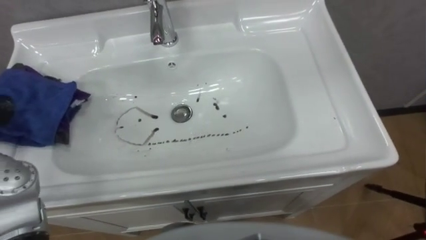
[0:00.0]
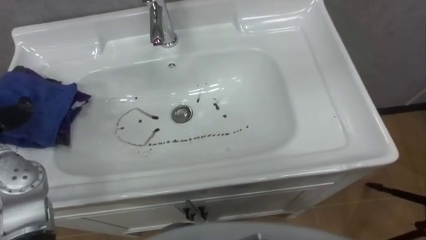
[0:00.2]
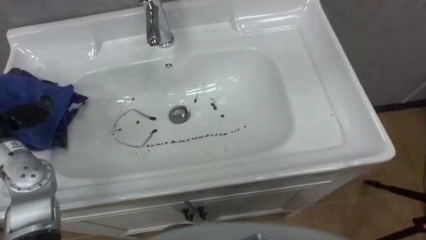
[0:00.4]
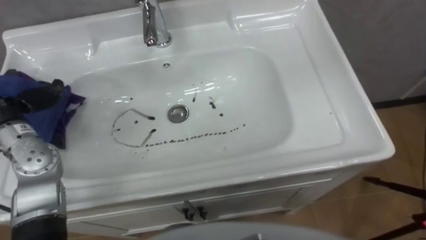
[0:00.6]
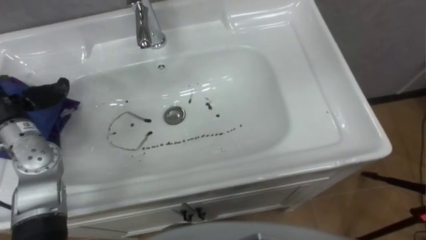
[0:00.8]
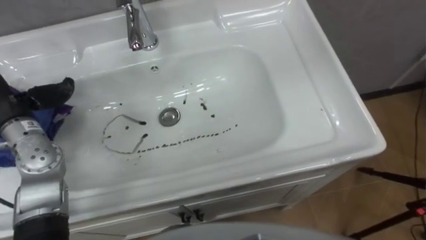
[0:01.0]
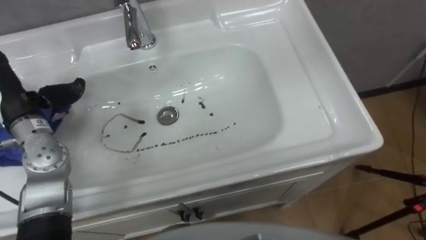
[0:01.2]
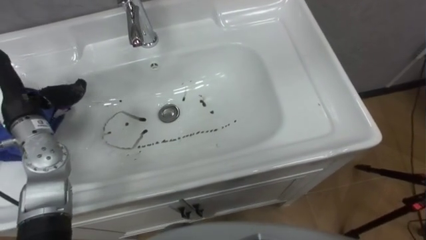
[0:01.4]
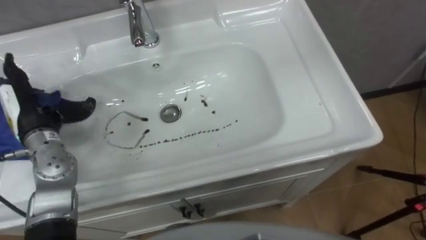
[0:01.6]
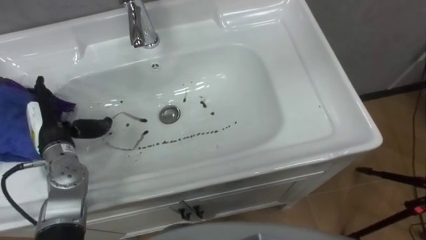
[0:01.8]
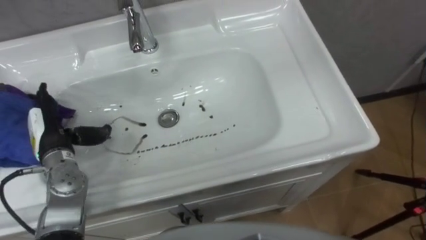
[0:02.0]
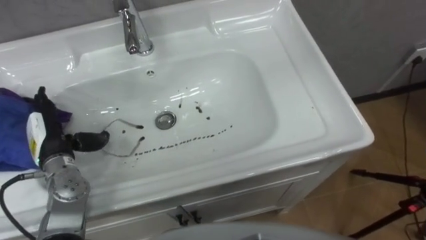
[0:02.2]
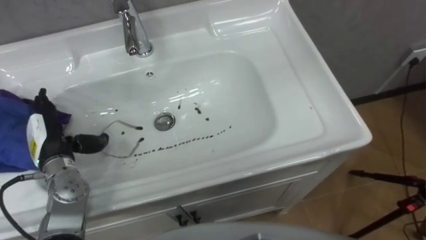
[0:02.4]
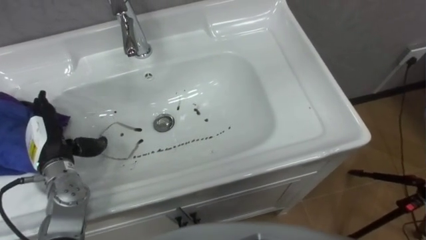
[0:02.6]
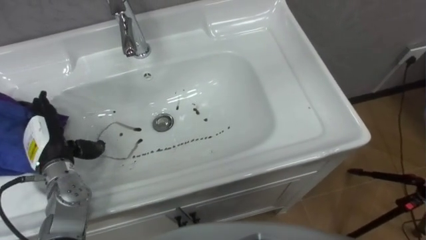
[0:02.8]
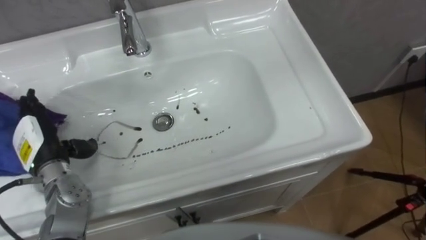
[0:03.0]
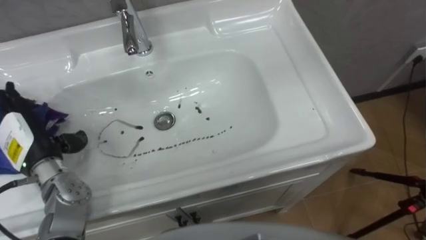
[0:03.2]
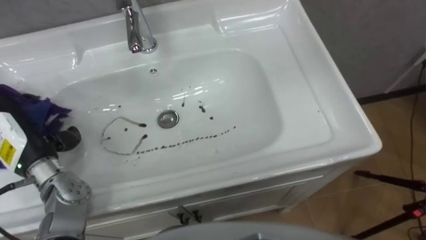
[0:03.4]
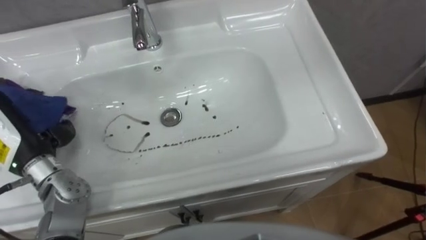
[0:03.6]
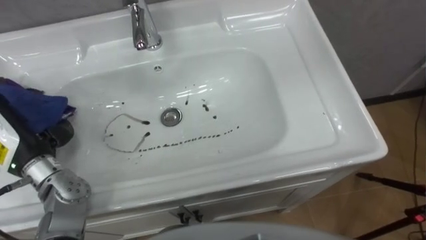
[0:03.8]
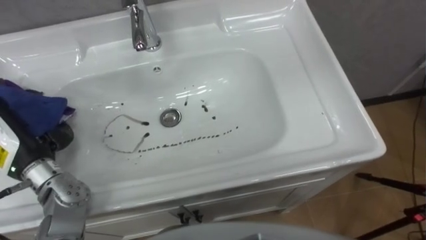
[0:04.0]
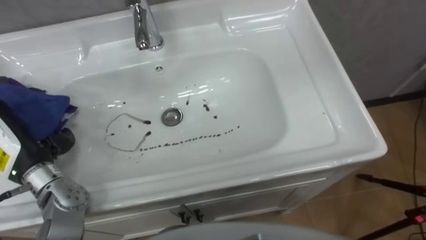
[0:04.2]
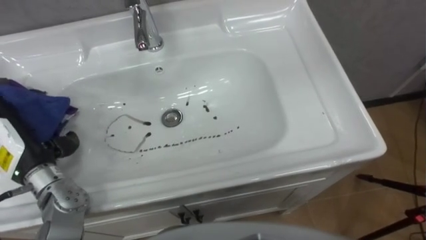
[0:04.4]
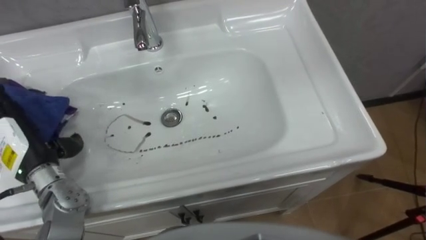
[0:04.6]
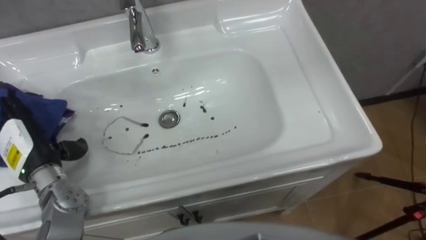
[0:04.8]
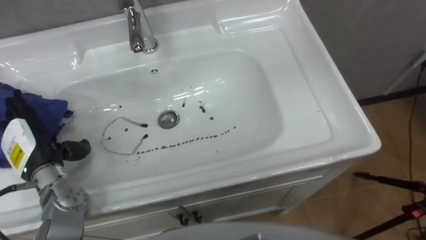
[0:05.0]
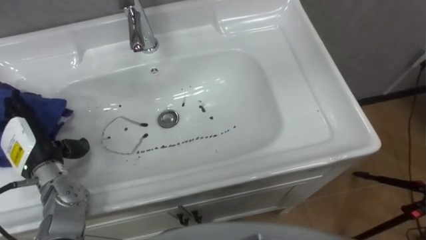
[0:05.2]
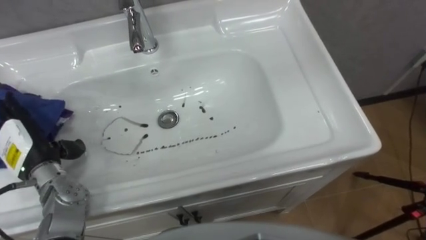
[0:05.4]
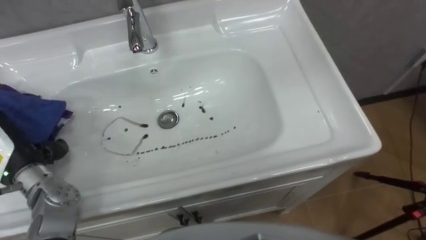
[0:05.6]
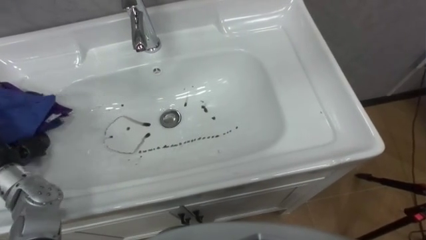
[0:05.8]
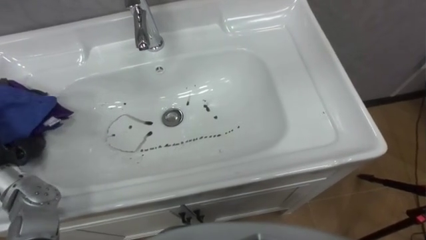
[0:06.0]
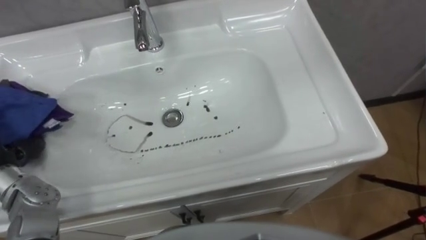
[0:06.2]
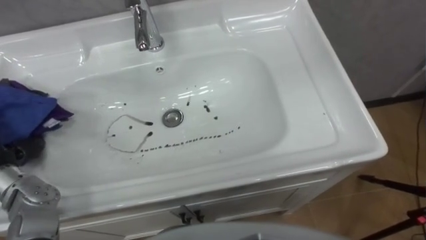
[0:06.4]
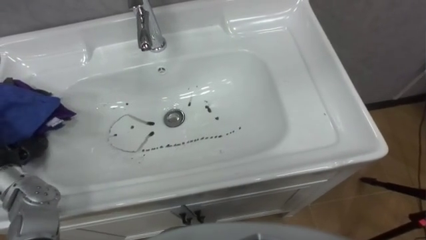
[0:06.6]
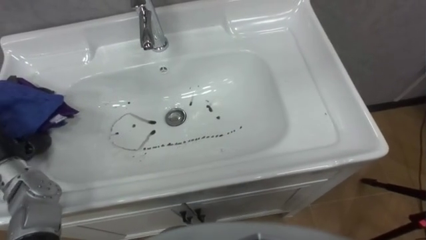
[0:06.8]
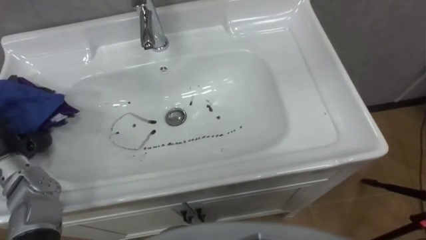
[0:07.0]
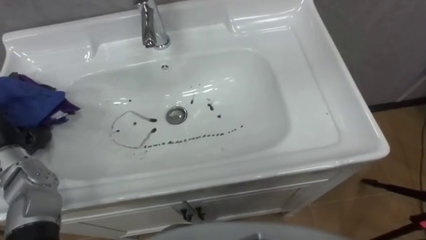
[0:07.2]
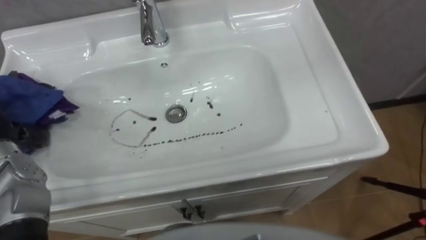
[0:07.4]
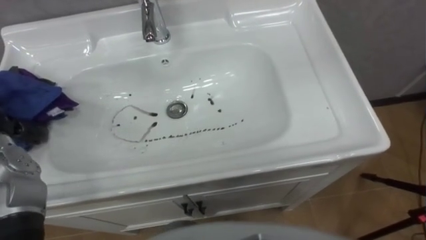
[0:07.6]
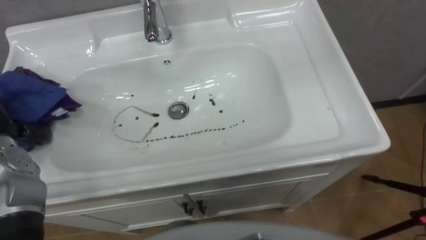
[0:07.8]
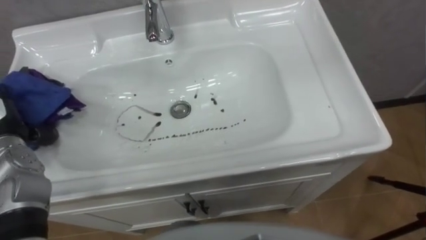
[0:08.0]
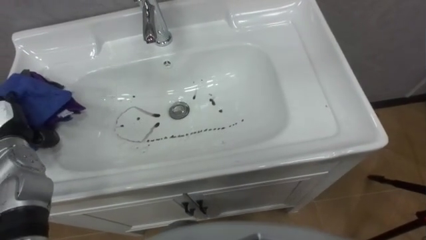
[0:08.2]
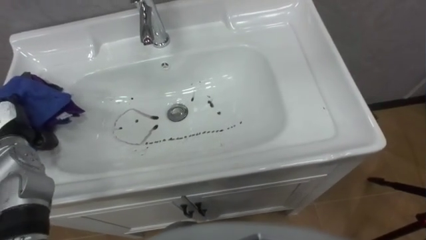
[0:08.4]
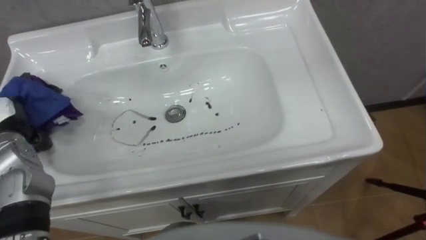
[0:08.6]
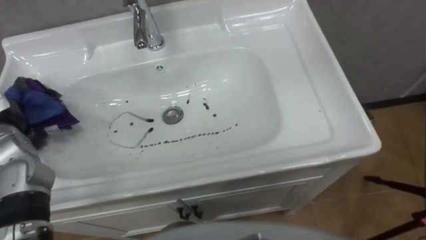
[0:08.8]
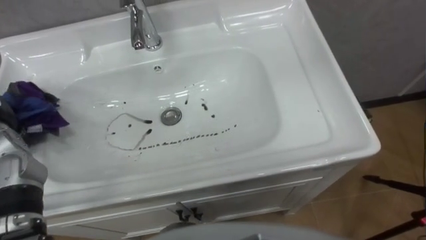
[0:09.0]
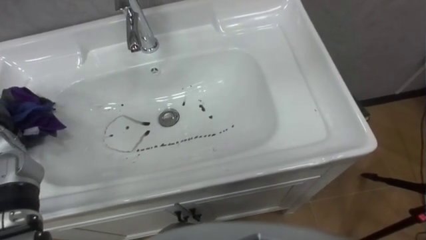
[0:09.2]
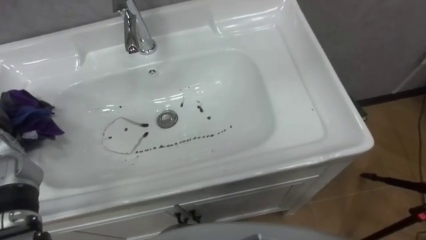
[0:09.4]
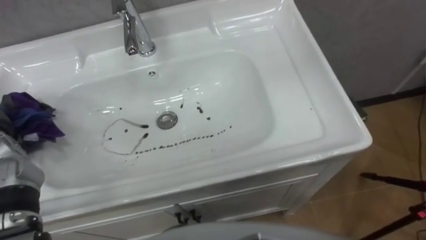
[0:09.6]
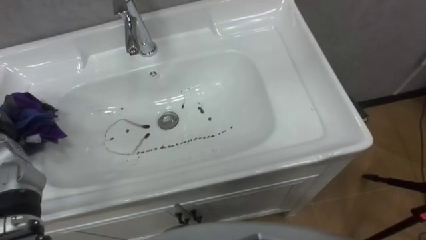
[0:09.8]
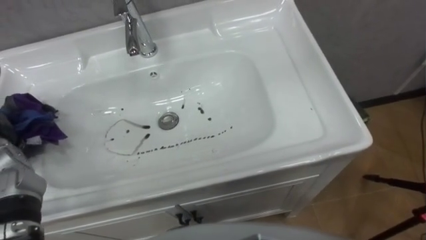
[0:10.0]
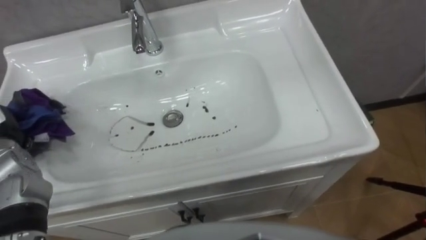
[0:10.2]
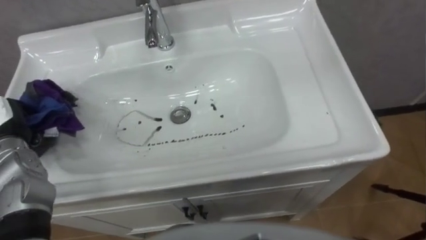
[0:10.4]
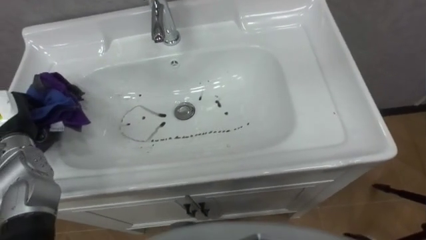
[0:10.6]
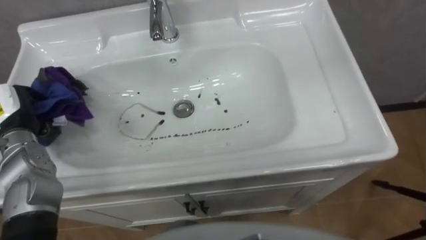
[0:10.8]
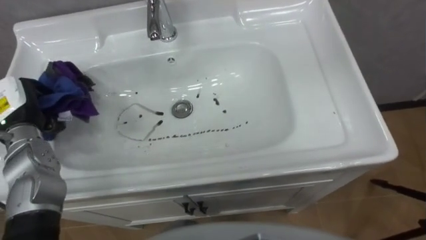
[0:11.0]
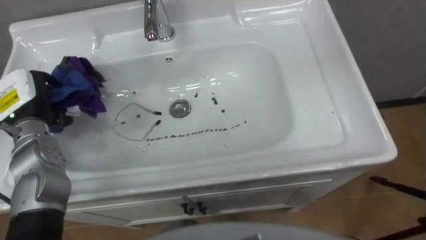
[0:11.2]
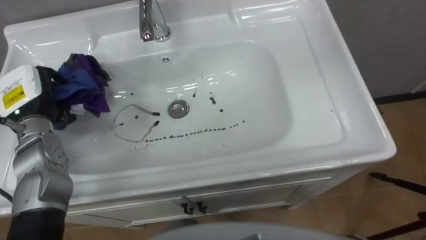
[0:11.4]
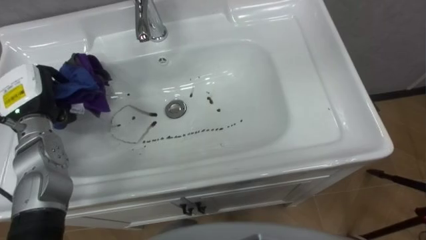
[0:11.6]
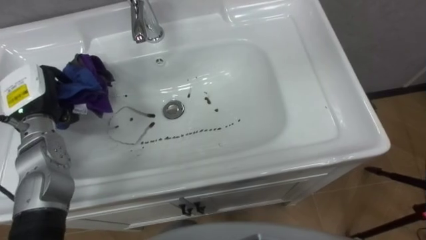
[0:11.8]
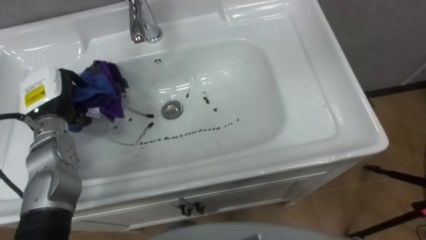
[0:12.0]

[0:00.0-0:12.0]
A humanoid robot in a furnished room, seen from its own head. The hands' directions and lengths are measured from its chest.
Task of the whole recording: Use the cloth on the right to wipe away the black stain in the sink.
0:01.6 to 0:03.0: The left hand shifts roughly 5 cm downward.

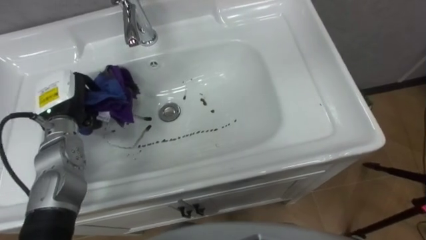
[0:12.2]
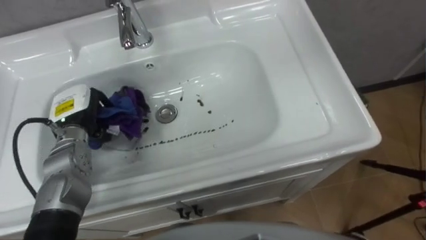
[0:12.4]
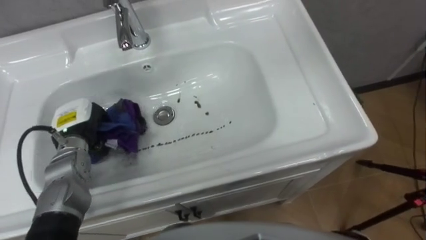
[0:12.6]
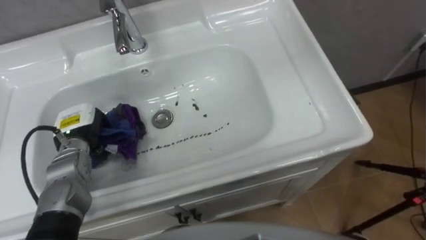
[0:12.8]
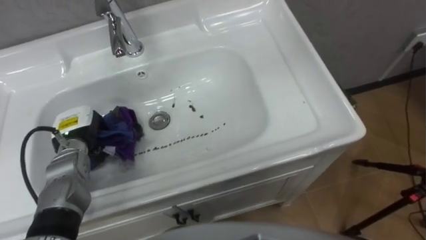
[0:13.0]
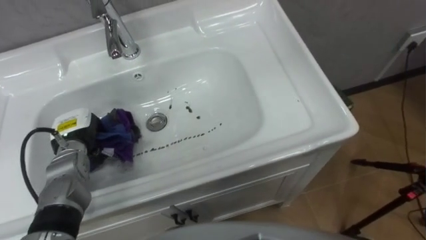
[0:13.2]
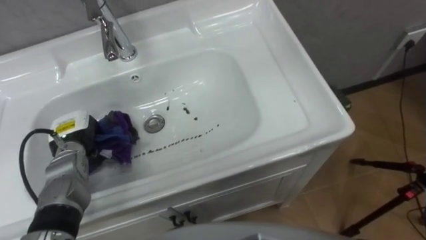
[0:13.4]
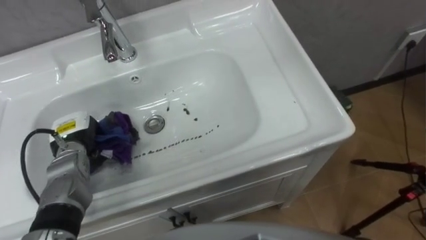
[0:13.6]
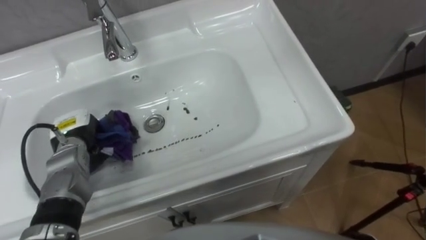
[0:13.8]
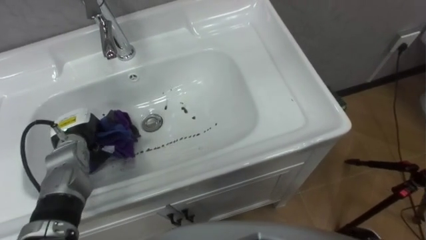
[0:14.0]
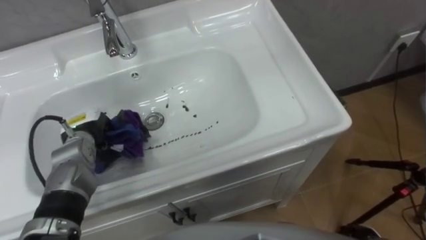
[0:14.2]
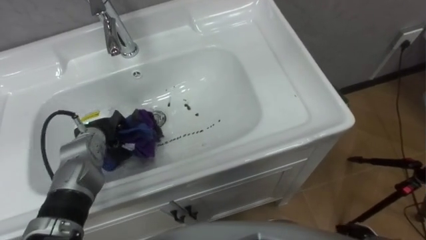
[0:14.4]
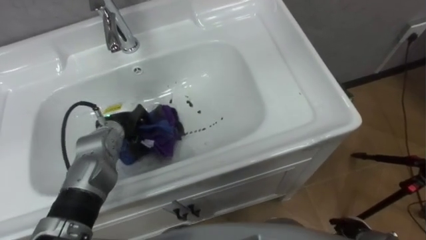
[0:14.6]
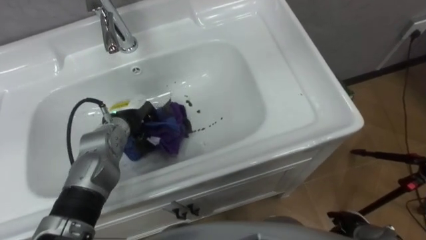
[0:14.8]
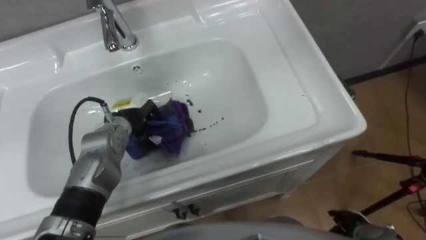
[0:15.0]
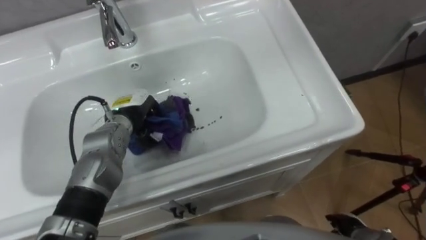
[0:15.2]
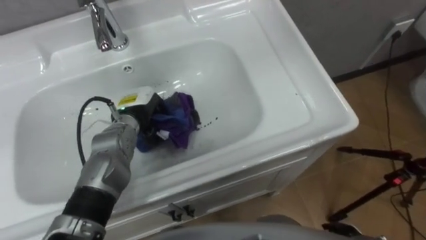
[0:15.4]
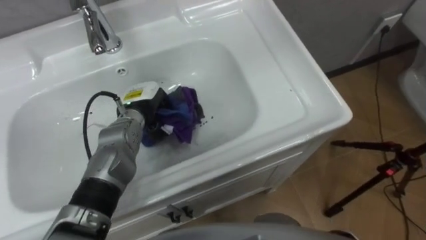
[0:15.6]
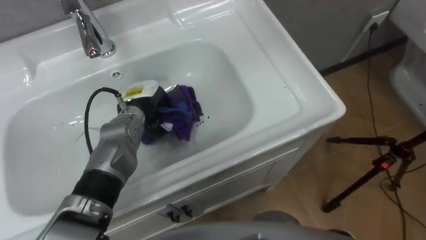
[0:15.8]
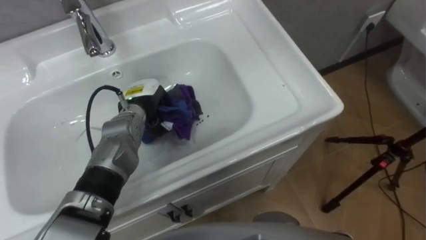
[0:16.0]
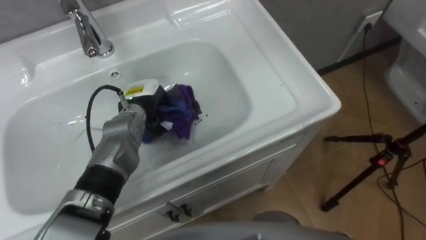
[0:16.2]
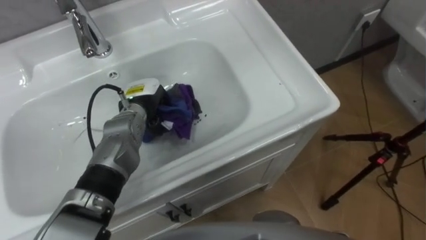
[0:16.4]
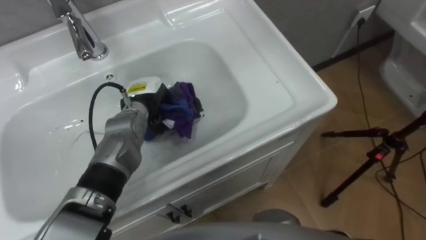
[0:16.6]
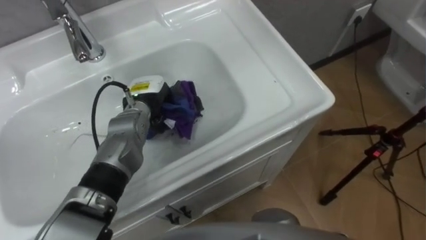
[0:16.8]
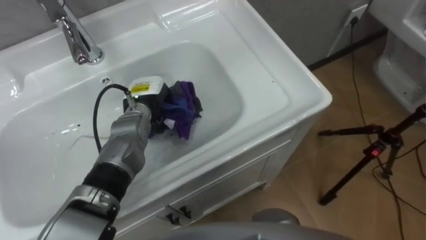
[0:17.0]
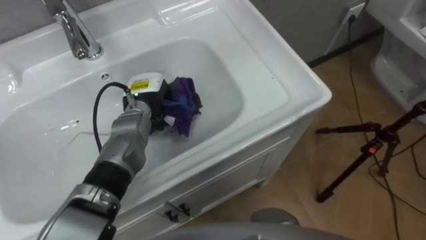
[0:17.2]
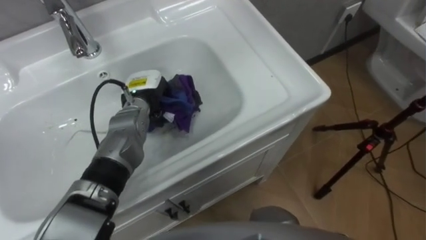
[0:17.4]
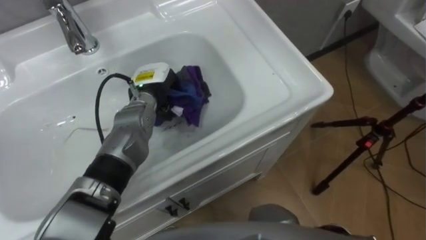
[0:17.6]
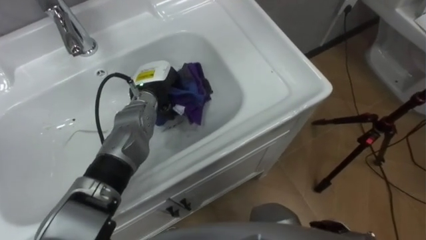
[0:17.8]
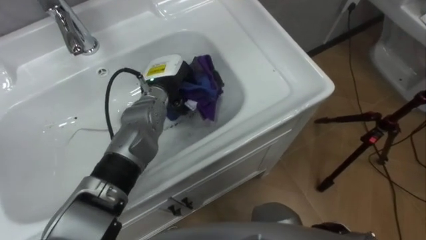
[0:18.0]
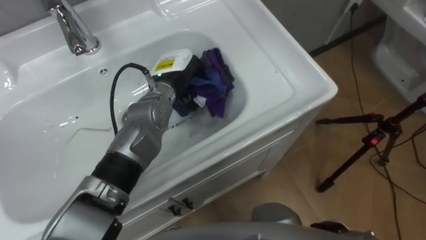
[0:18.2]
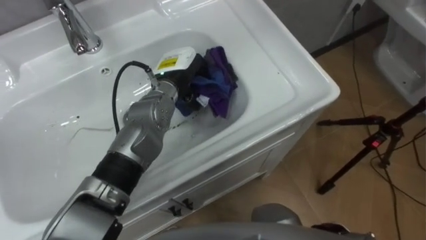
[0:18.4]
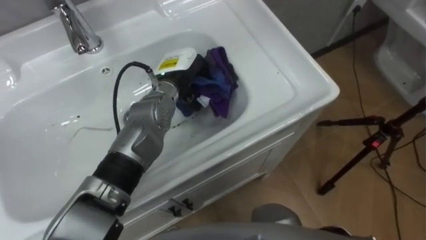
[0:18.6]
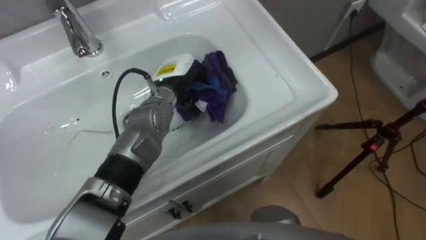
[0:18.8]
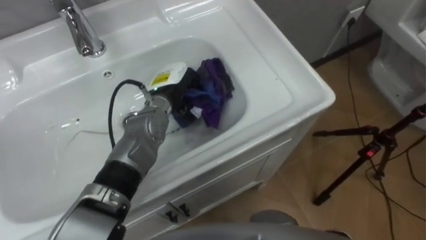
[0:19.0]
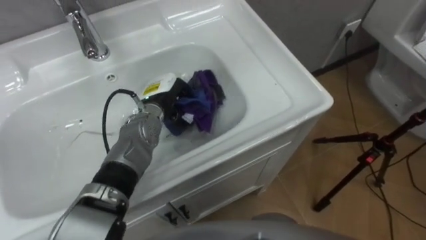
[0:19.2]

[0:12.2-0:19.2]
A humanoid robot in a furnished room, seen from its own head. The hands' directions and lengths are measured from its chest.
Task of the whole recording: Use the cloth on the right to wipe away the black stain in the sink.
0:12.2 to 0:13.6: The left hand moves downward, some 10 cm.
0:13.6 to 0:15.0: The left hand travels to the right by approximately 10 cm.
